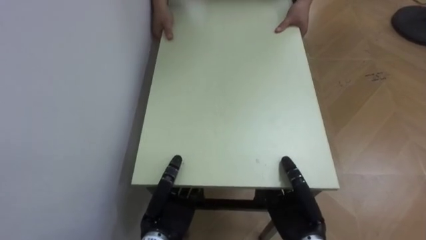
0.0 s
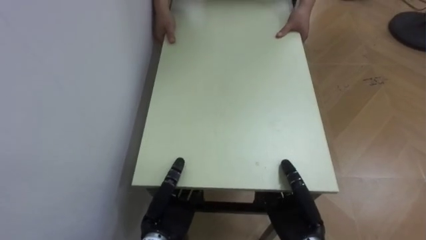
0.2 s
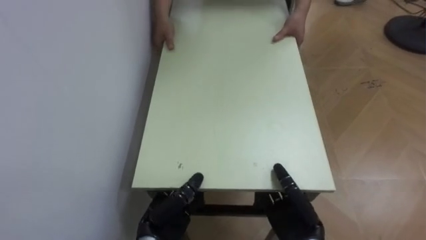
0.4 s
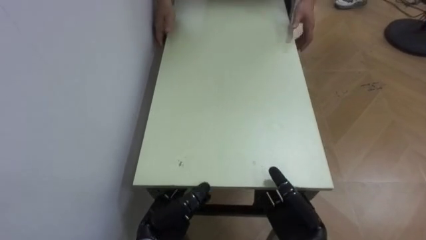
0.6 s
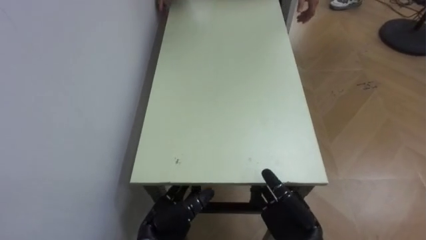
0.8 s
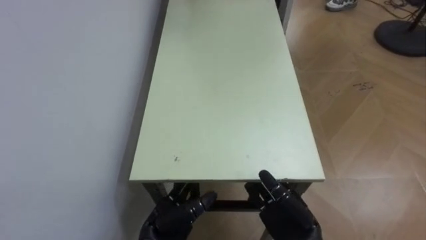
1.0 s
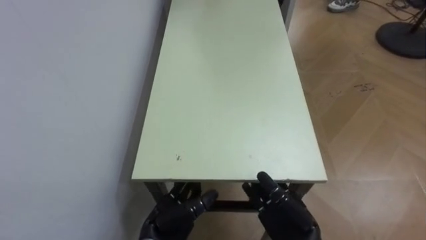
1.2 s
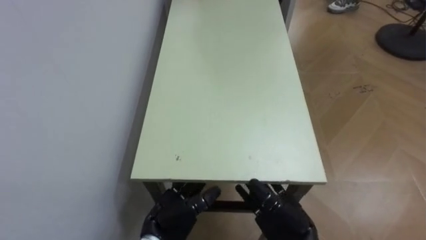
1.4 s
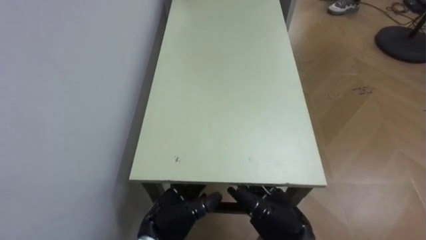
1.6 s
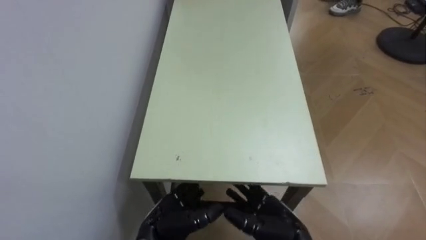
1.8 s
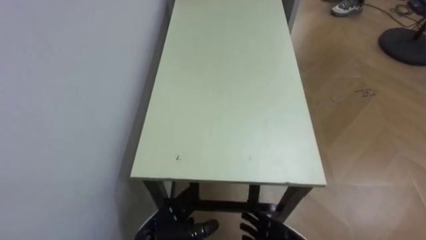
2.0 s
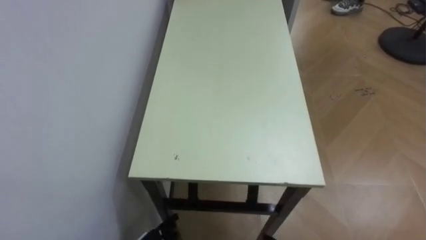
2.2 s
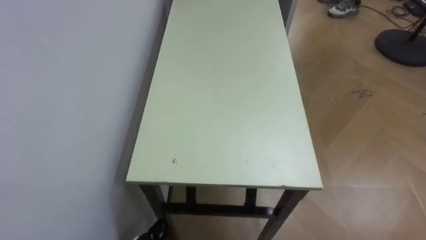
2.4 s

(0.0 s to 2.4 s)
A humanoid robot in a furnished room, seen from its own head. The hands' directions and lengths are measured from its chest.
Task of the whole recording: Move the table to the back left with someone.
0.0 s - 1.2 s: The right hand opens, while the left hand opens its fingers.

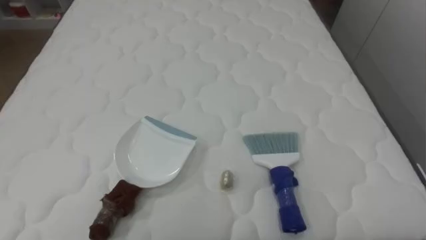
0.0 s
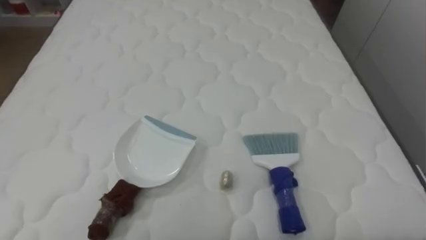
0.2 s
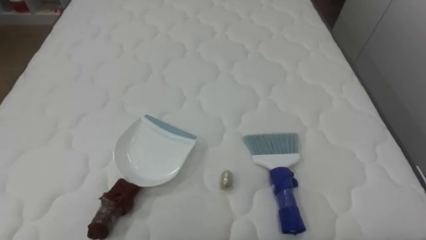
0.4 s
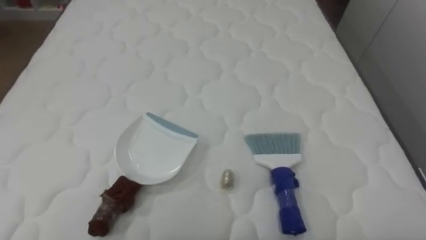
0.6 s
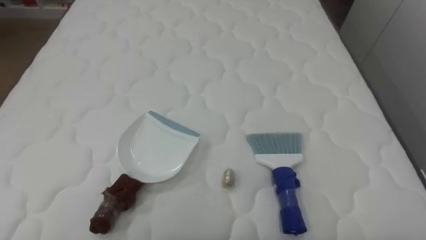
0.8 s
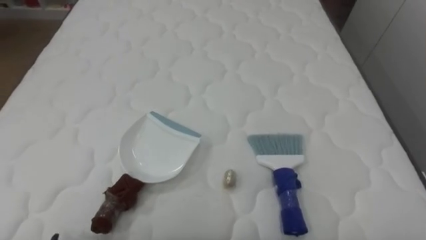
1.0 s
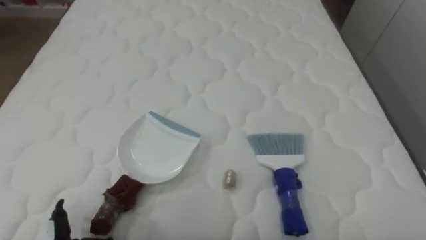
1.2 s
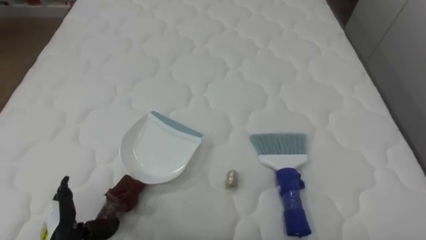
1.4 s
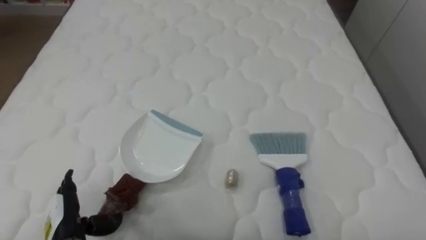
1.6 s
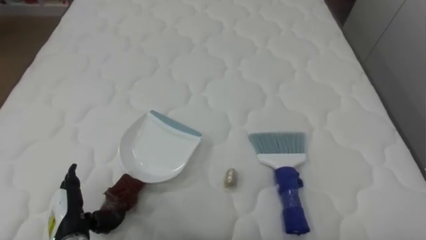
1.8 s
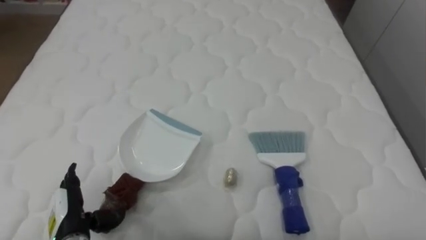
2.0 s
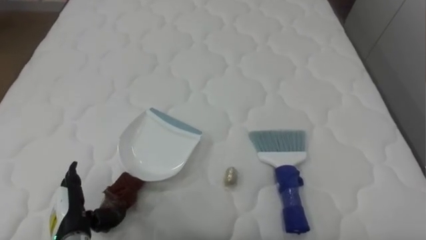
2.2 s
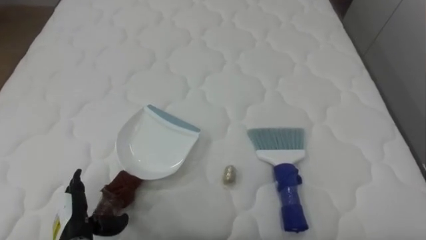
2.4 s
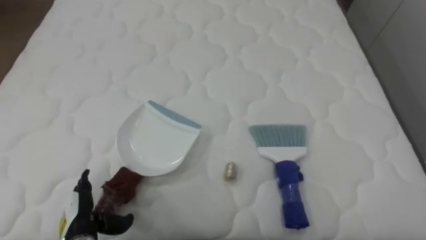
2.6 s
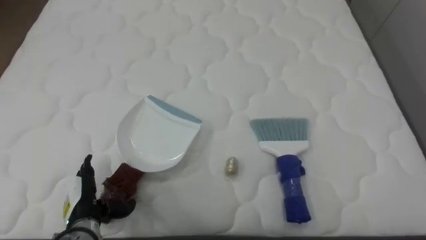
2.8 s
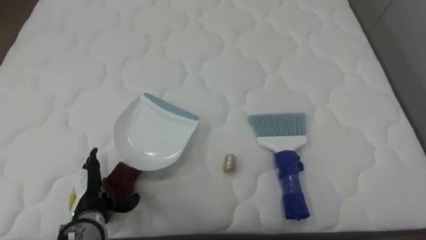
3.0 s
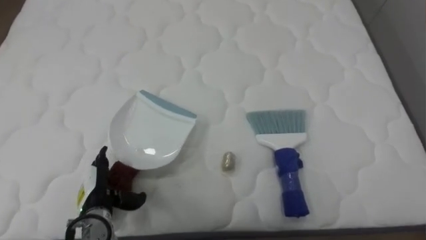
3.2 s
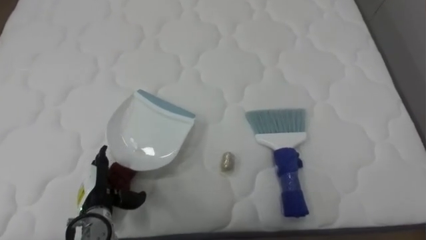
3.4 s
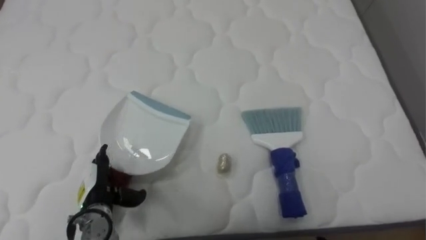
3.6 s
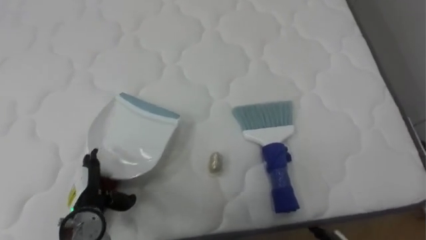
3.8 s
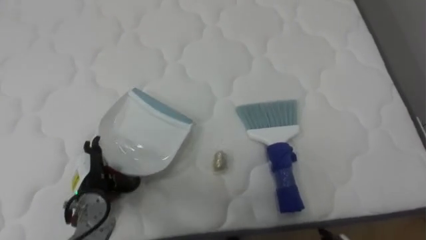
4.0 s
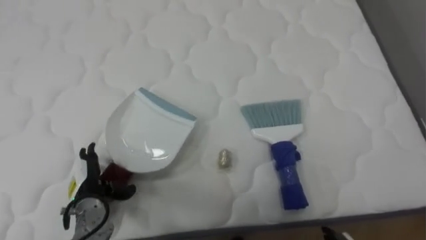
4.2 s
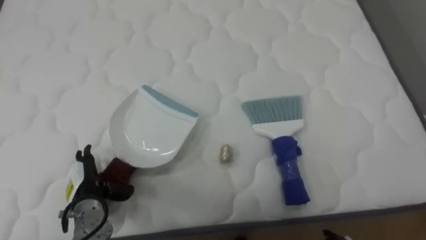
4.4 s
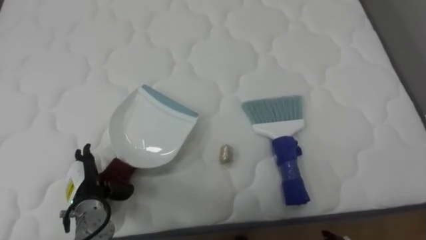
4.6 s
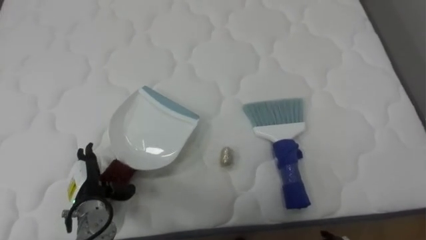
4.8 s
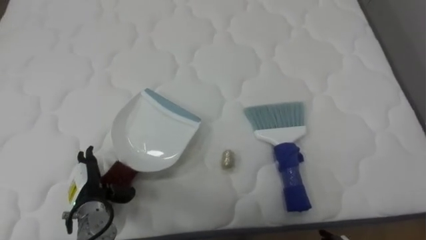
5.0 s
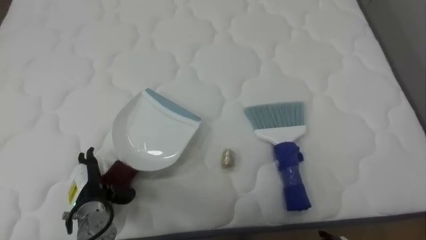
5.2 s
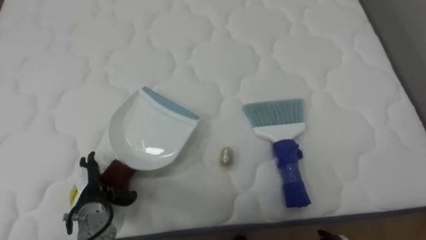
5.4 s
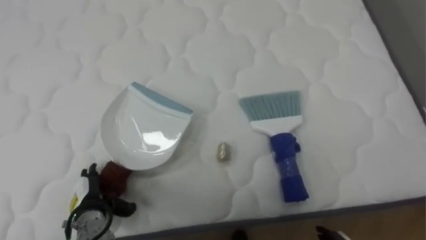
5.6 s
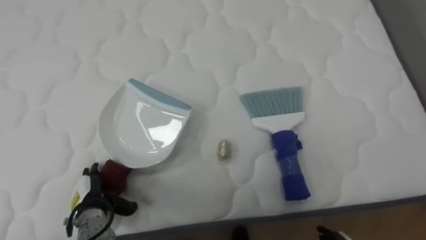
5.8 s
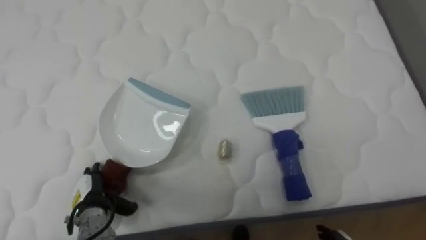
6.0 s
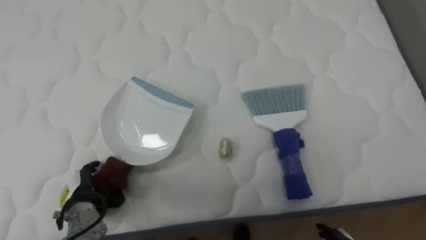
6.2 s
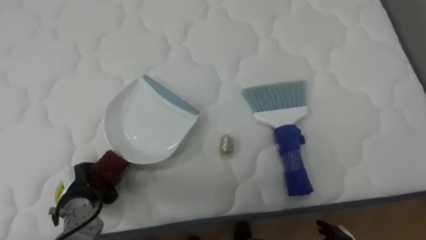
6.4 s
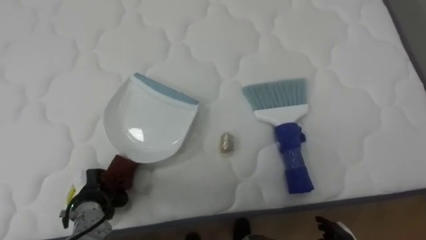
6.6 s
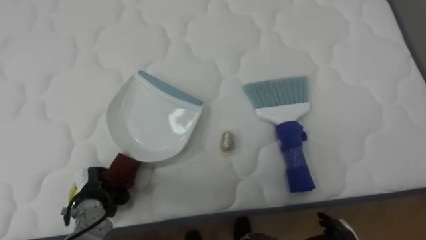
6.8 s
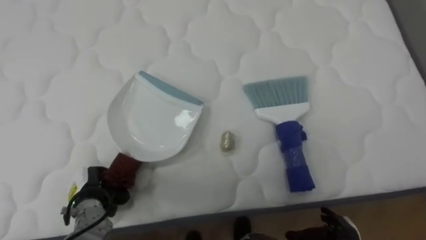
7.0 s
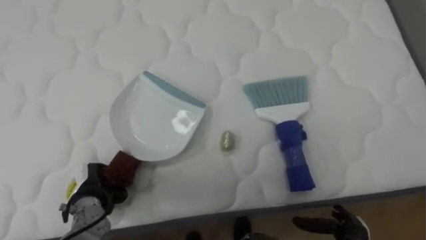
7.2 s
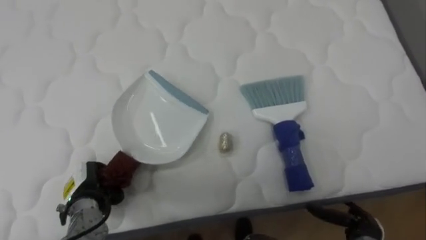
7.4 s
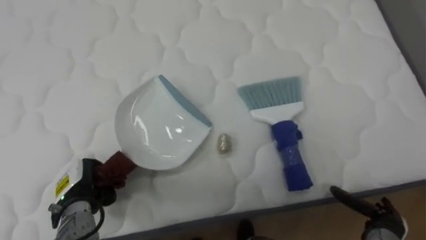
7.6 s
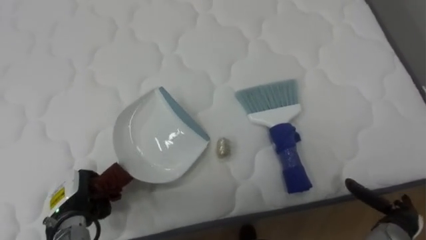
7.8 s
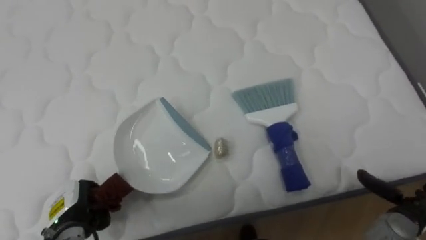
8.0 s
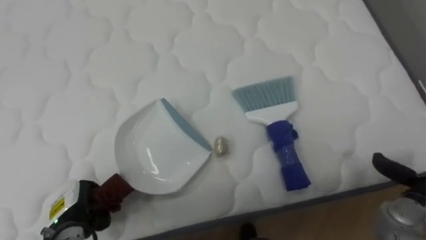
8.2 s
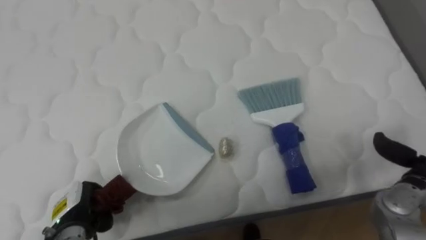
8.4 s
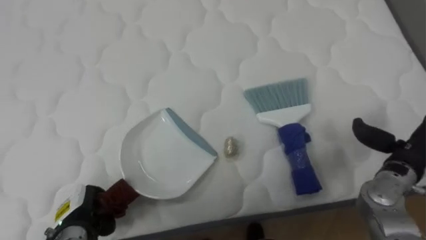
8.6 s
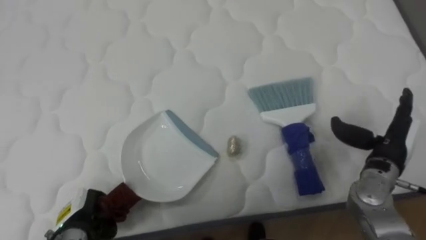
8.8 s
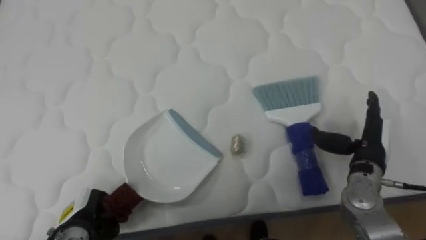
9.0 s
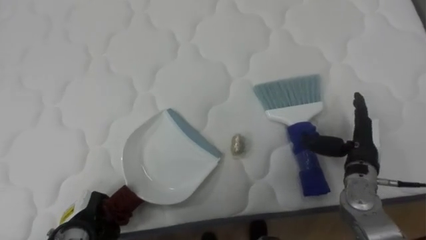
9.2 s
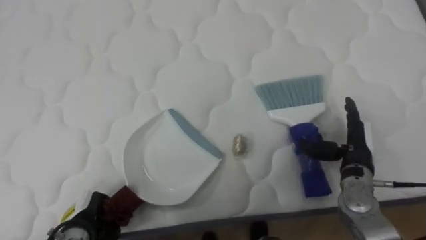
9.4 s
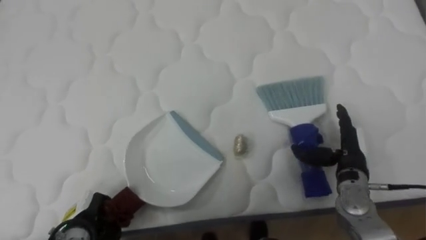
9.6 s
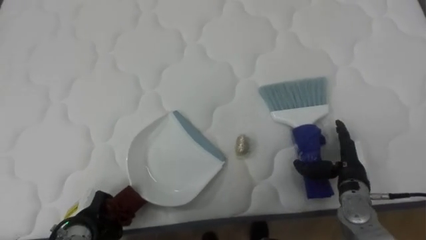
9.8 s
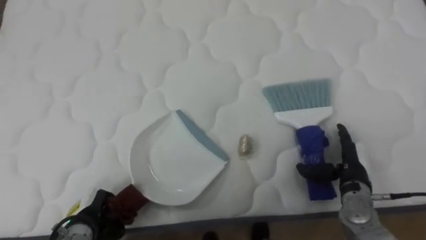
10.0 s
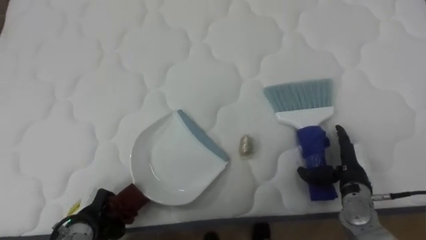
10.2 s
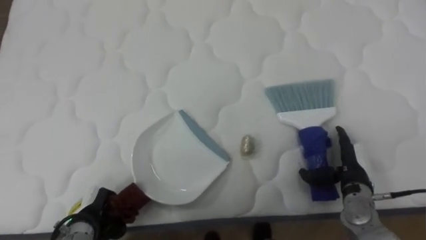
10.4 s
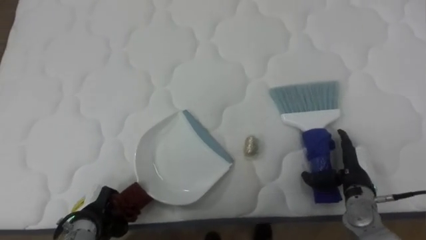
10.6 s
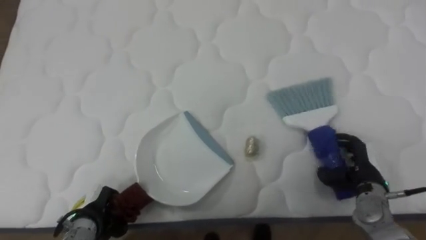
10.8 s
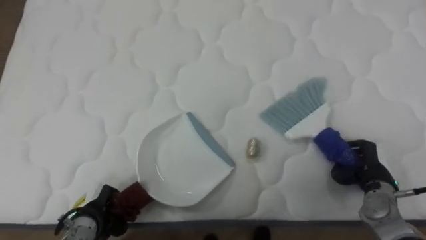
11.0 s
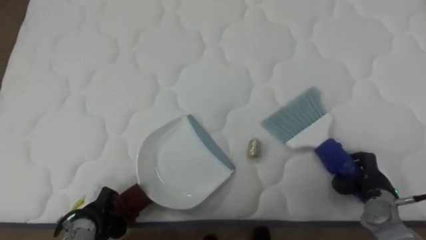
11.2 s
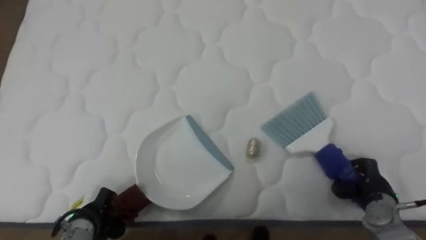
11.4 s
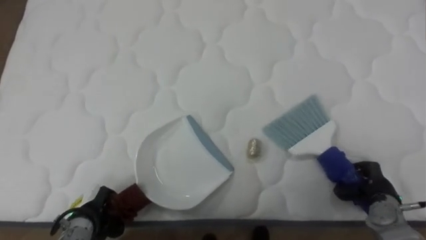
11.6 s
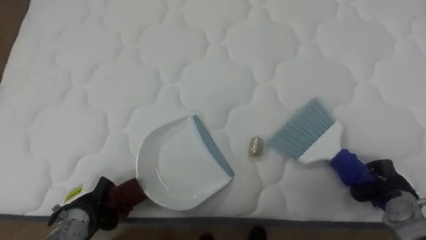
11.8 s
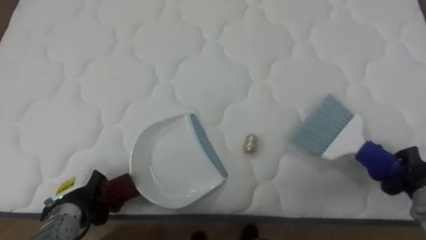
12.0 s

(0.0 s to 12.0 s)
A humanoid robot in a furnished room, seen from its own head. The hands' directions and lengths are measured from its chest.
Task of the whole recording: Pick up the brush on your right and the dustpan on your left. Use the brush to sweep the crumpled paper on the bed into the dustpan, then turn left and empty it into the basket.
1.6 s - 3.0 s: The left hand moves forward, approximately 5 cm.
6.0 s - 7.6 s: The left hand closes.
7.6 s - 9.0 s: The right hand heads upward and forward, covering about 20 cm. The left hand travels backward by approximately 5 cm.
9.0 s - 10.4 s: The right hand travels downward by about 5 cm.
10.4 s - 12.0 s: The right hand travels to the right by some 10 cm, and closes its fingers, while the left hand ends up about 5 cm from where it was.

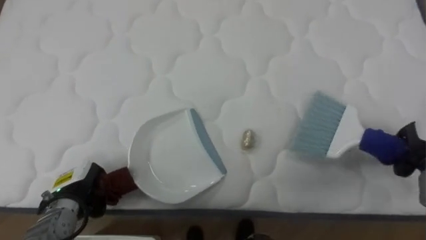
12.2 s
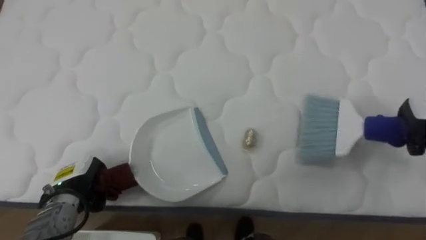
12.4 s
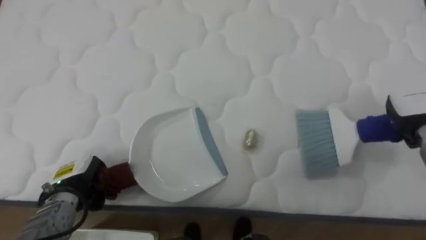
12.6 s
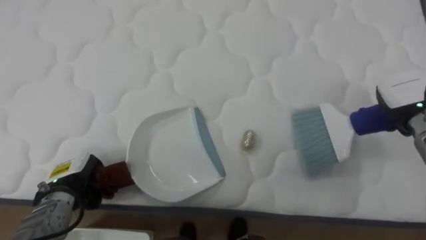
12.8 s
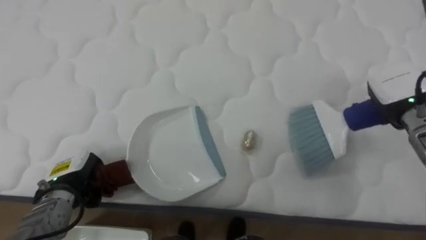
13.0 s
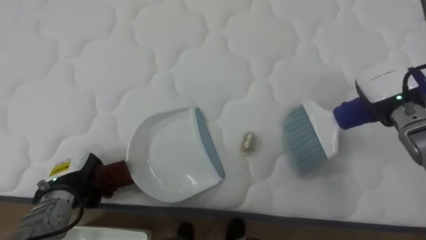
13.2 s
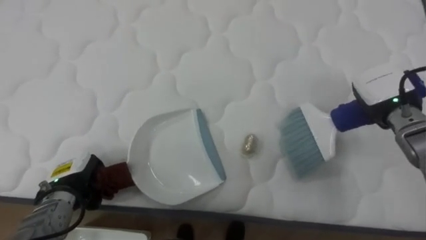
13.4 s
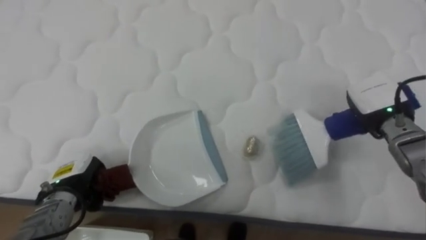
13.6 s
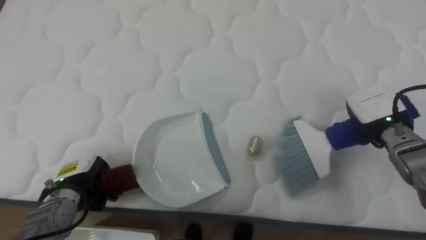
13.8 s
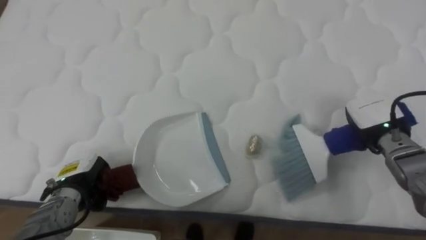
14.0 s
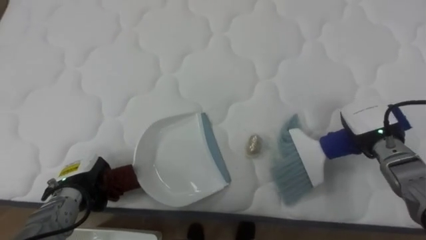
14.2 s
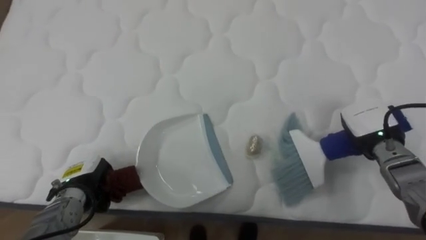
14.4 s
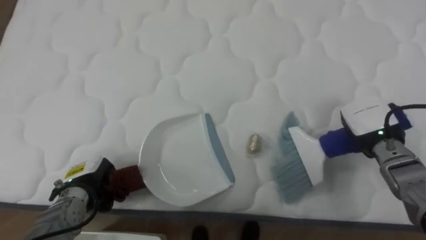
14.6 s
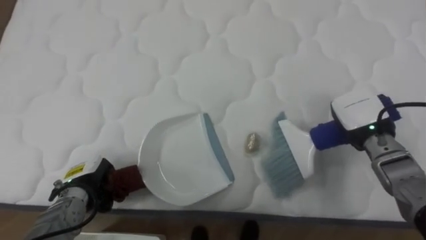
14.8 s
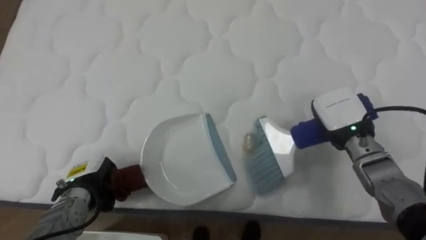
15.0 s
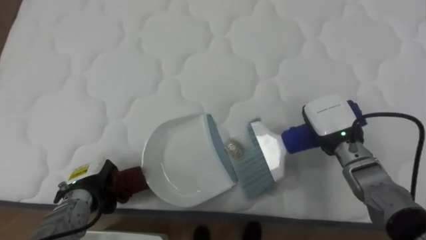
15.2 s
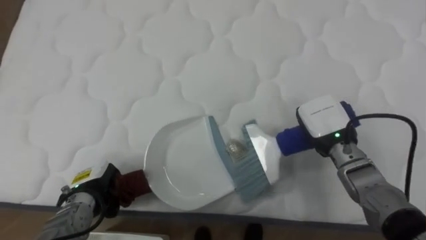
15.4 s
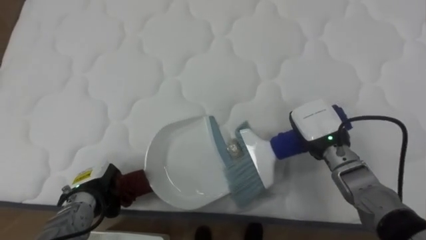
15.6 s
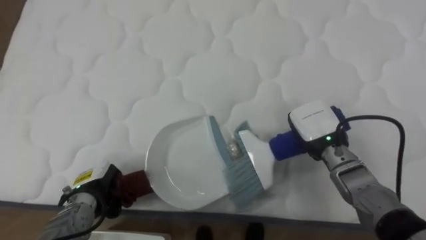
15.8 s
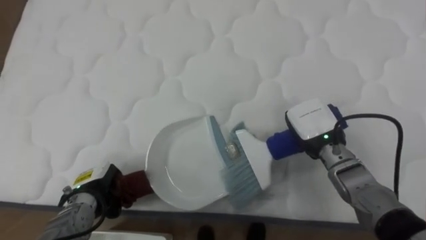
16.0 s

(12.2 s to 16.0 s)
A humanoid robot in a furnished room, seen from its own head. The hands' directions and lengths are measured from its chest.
Task of the whole recording: Pick up the brush on your right and the dustpan on your left. Use the brush to sweep the crumpled paper on the bed into the dustpan, then turn left and empty it into the basket.
12.2 s - 13.4 s: The right hand travels to the left, forward and upward by approximately 15 cm.
13.4 s - 14.8 s: The right hand moves approximately 5 cm.
14.8 s - 16.0 s: The right hand travels to the left by about 10 cm.
